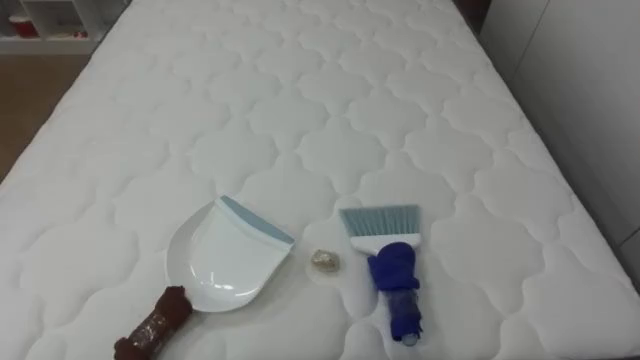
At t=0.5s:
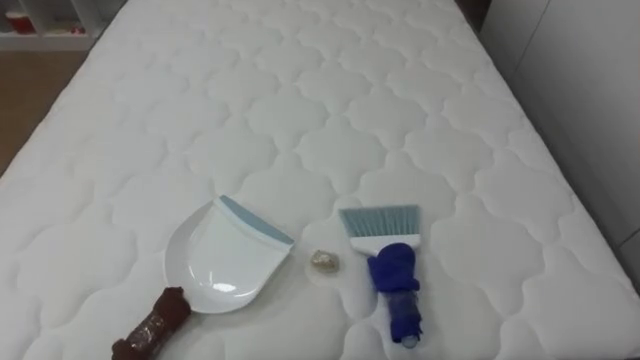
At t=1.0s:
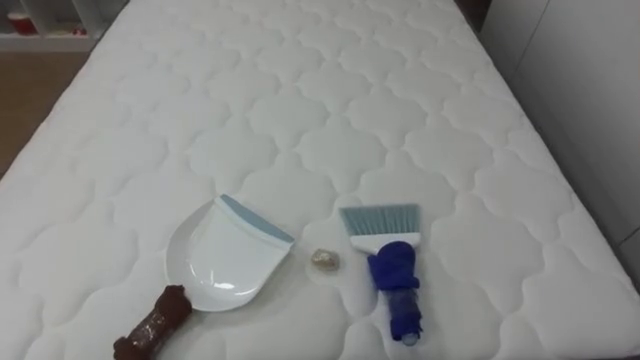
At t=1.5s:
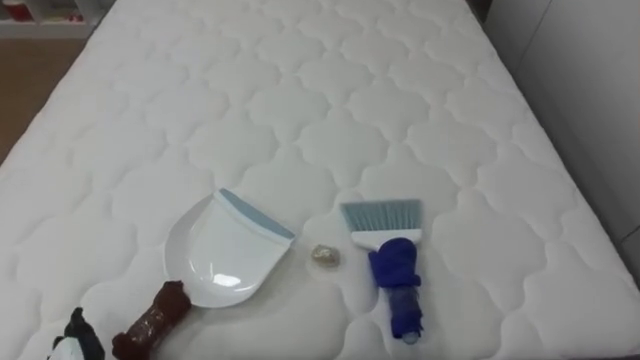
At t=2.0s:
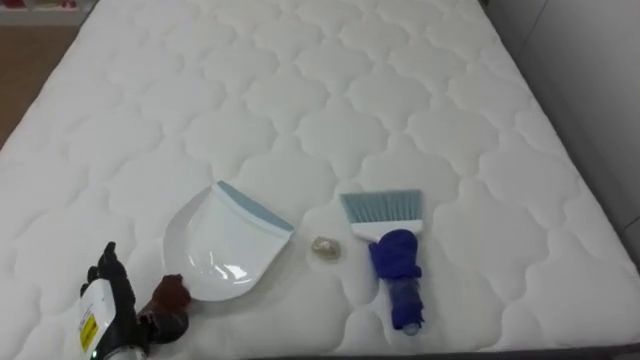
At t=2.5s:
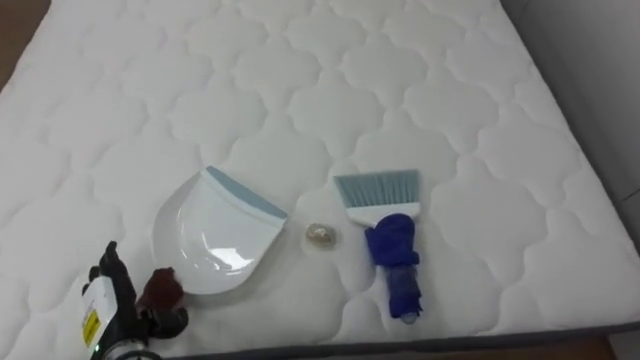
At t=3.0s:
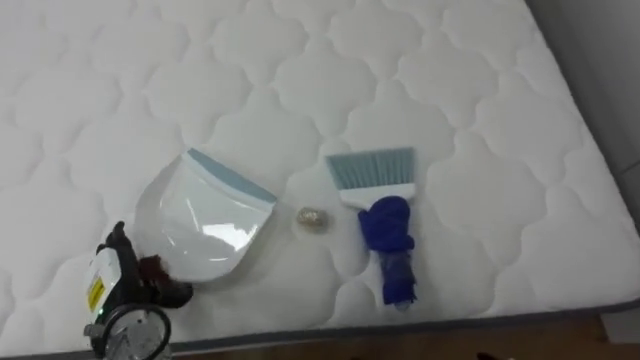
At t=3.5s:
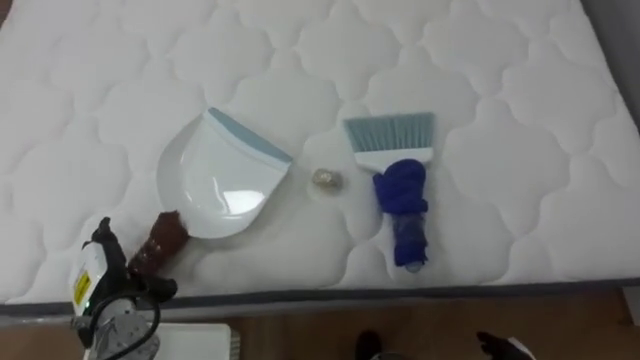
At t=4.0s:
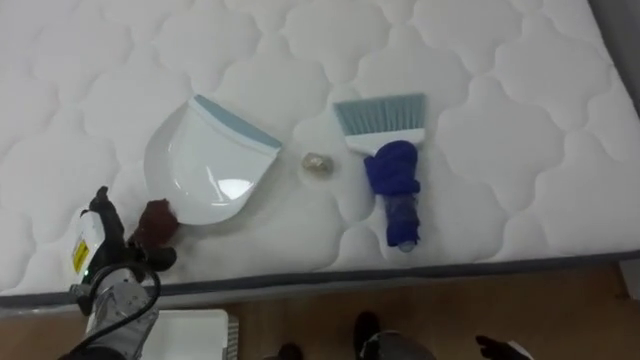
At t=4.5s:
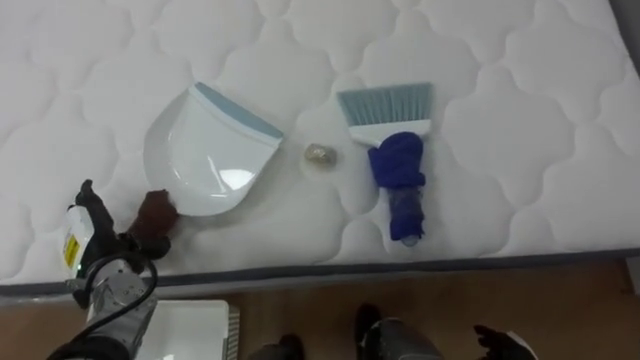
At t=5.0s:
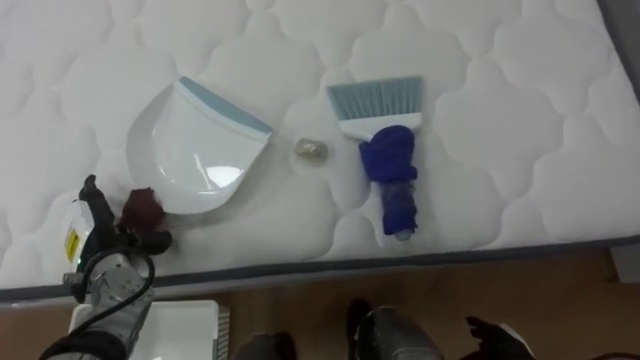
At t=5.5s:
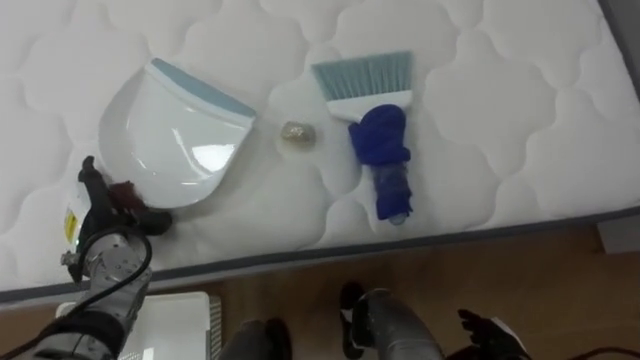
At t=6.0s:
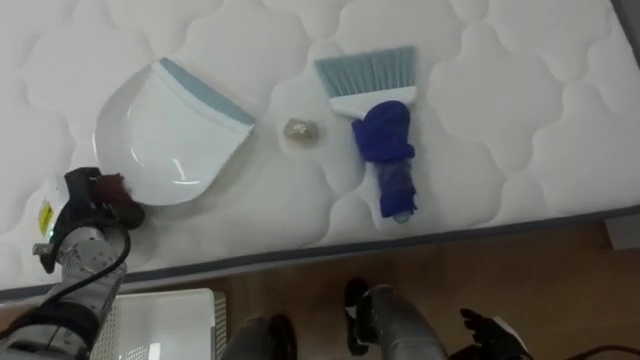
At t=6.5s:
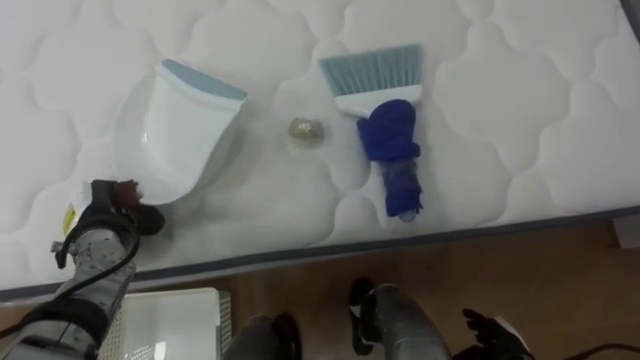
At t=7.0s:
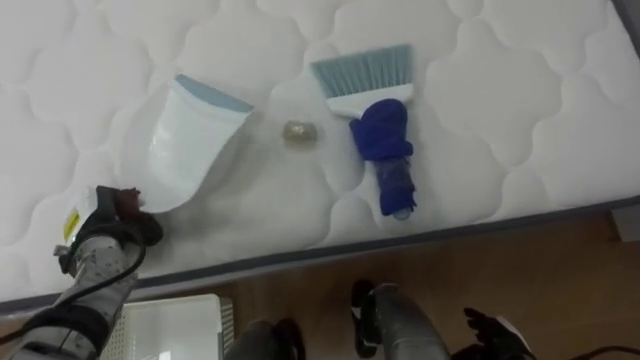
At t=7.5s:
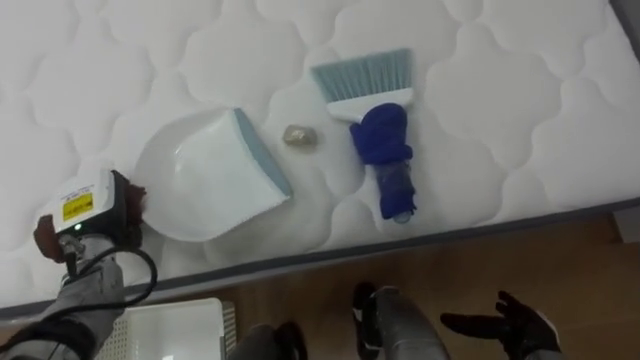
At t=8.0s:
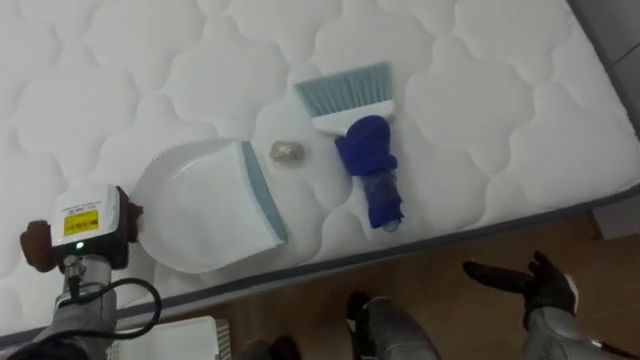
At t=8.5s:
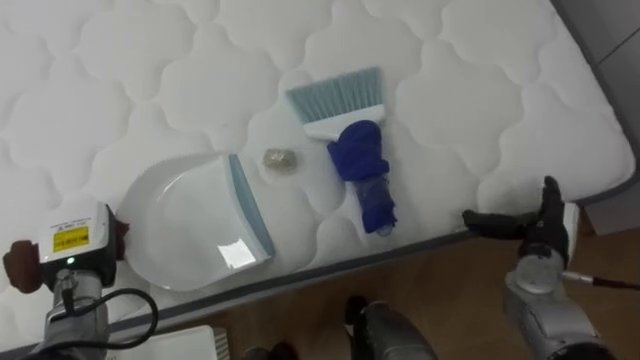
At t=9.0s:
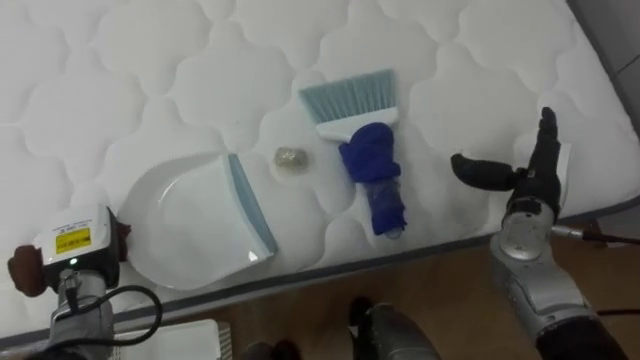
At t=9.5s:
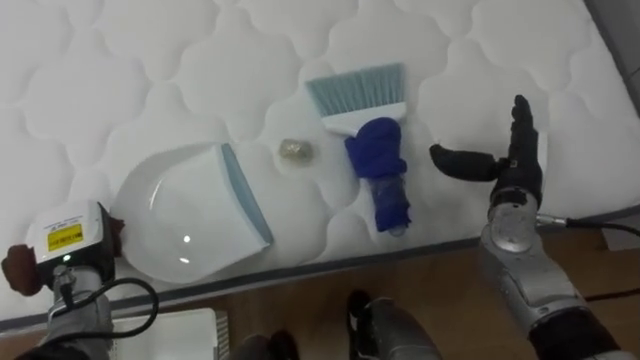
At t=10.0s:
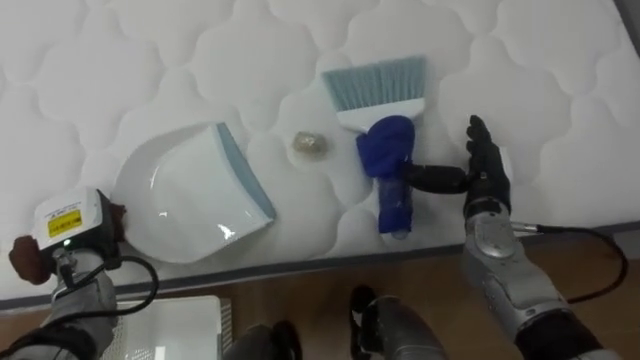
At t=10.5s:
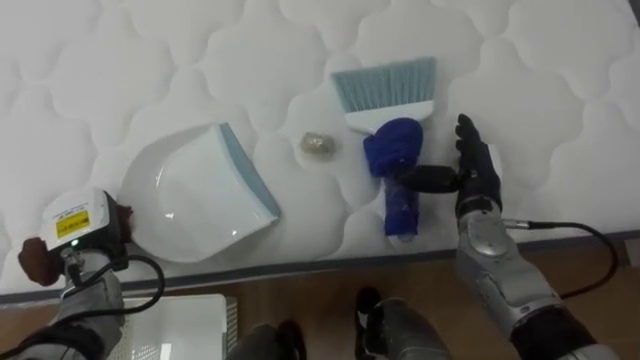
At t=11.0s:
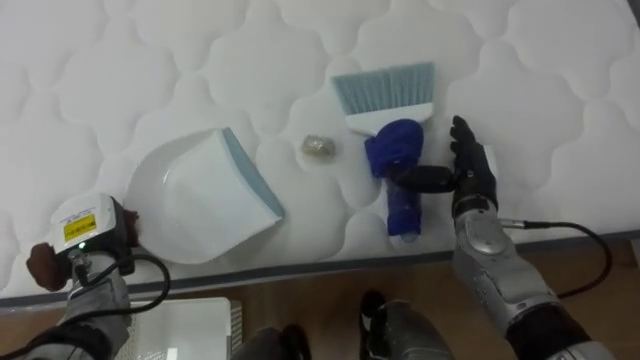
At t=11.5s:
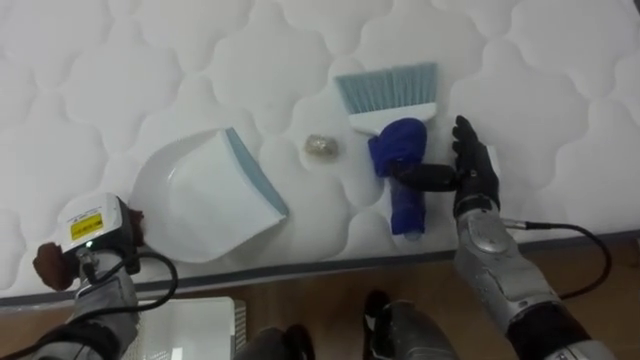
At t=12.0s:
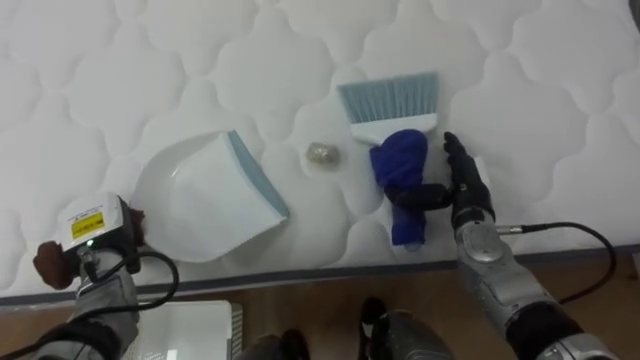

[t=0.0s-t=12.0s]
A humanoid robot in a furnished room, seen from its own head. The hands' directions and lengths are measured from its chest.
Task of the whole recording: Pick up the brush on your right and the dustpan on your left. Use the brush to sweep the crumpled paper on the bed into the dustpan, then turn left and empty it into the basket.
t=2.0s to t=4.0s: The left hand heads forward, covering approximately 10 cm.
t=4.0s to t=6.0s: The left hand shifts by roughly 5 cm, and closes its fingers.
t=6.0s to t=8.0s: The right hand heads to the right, forward and upward, covering about 10 cm, while the left hand closes its fingers.
t=8.0s to t=10.0s: The right hand moves upward, forward and to the left, some 20 cm.

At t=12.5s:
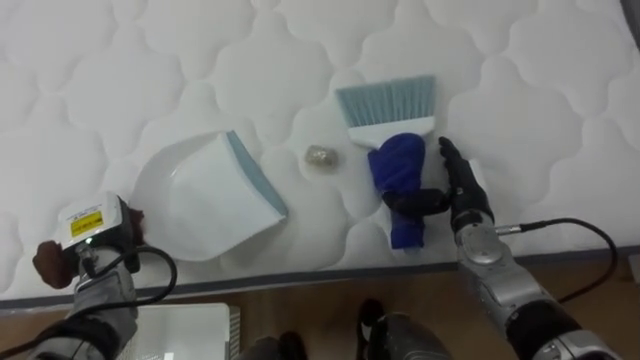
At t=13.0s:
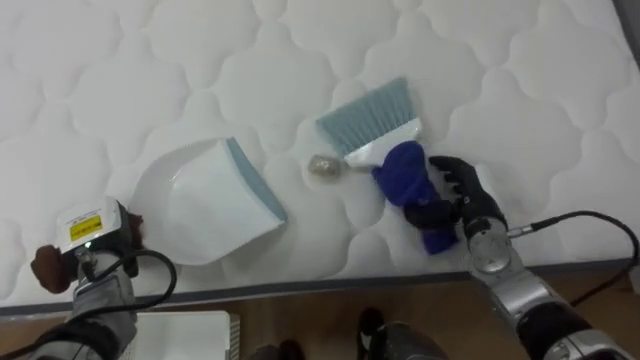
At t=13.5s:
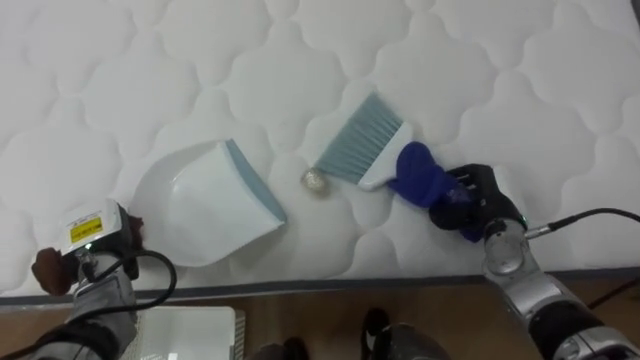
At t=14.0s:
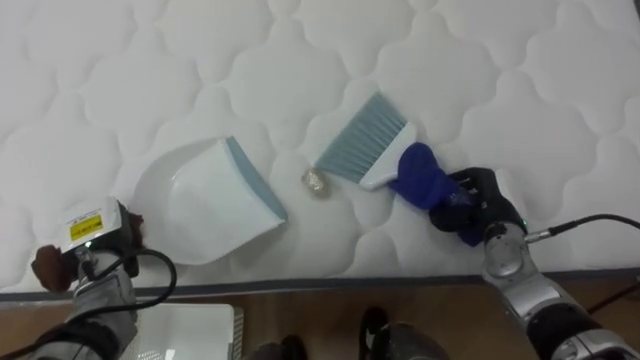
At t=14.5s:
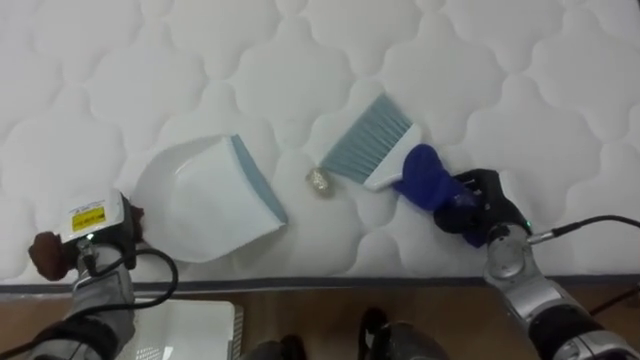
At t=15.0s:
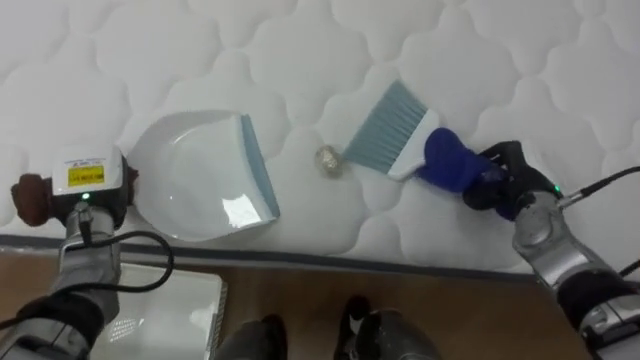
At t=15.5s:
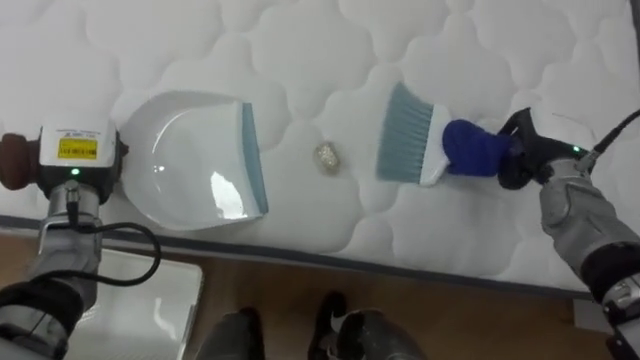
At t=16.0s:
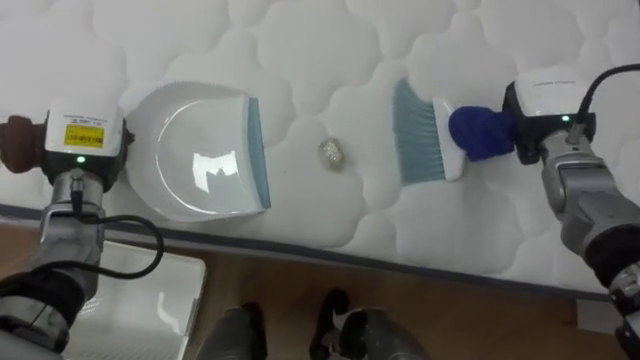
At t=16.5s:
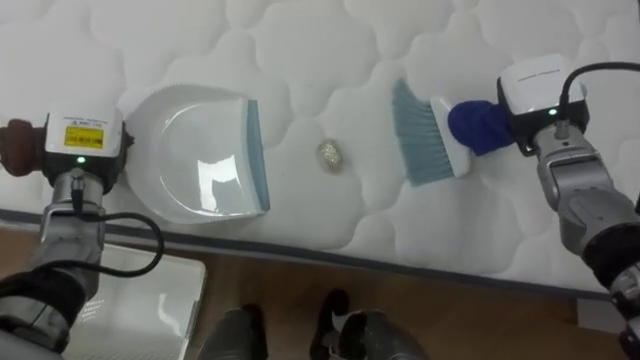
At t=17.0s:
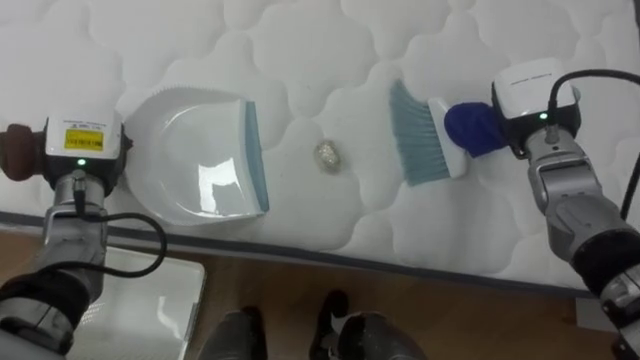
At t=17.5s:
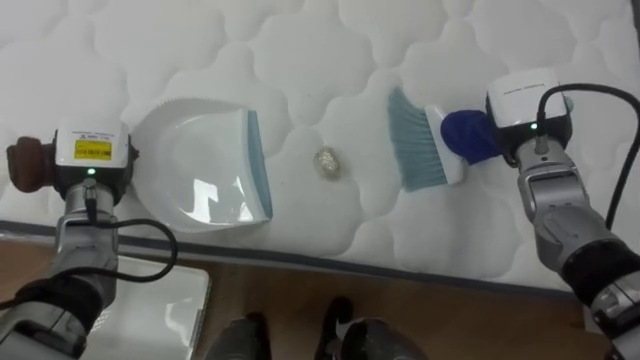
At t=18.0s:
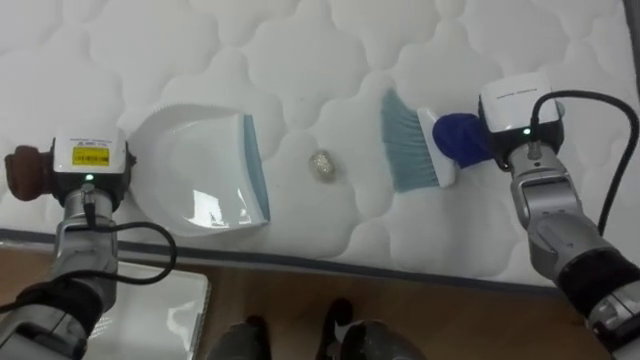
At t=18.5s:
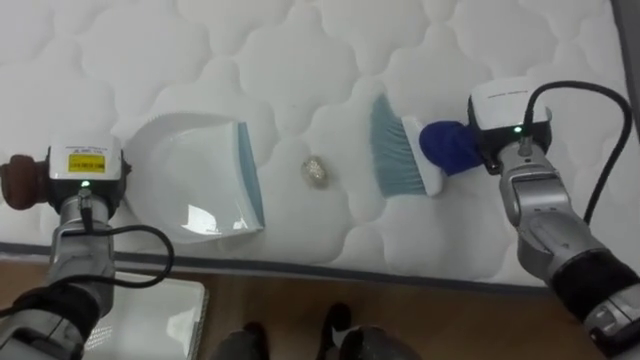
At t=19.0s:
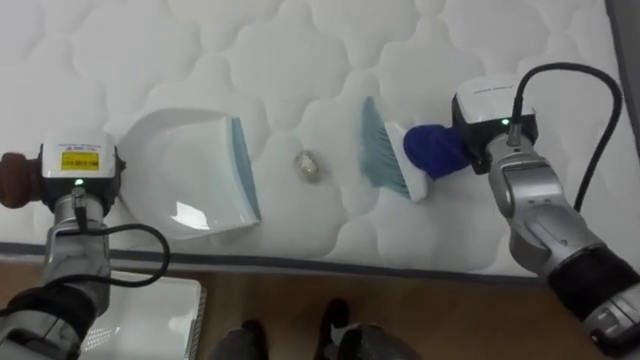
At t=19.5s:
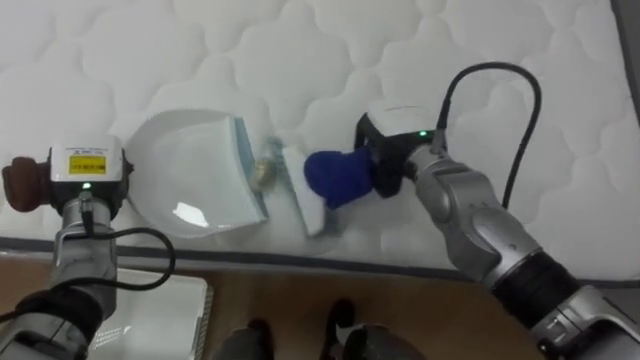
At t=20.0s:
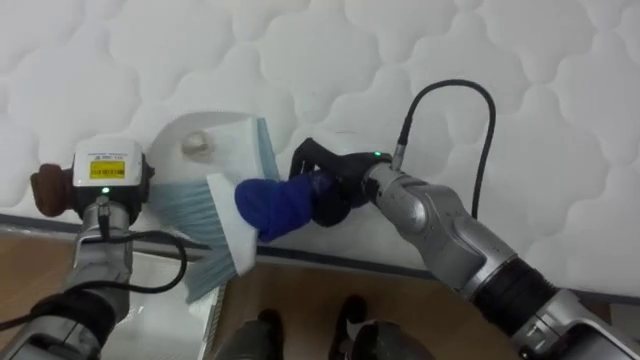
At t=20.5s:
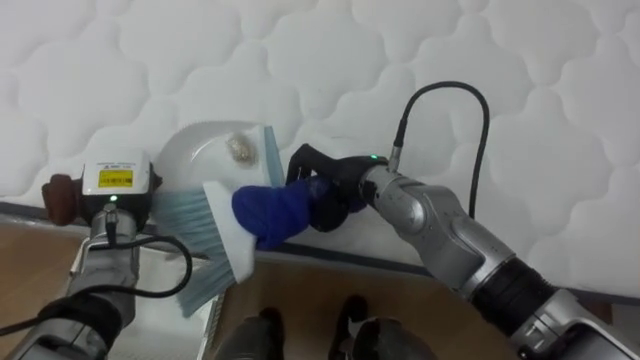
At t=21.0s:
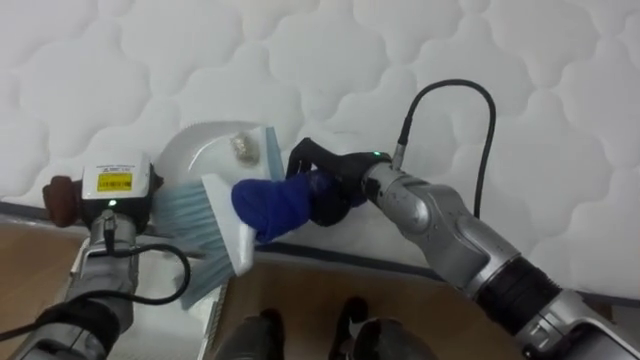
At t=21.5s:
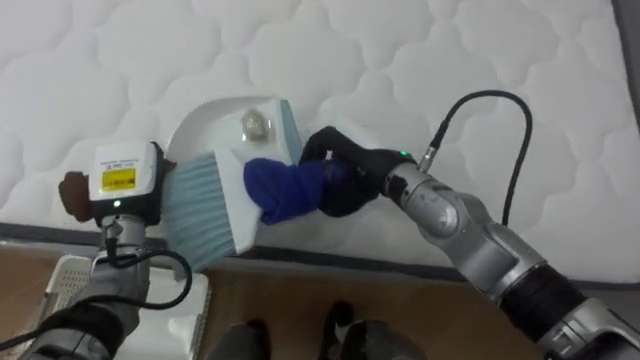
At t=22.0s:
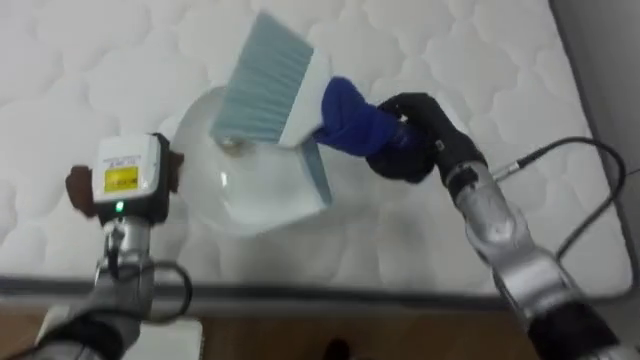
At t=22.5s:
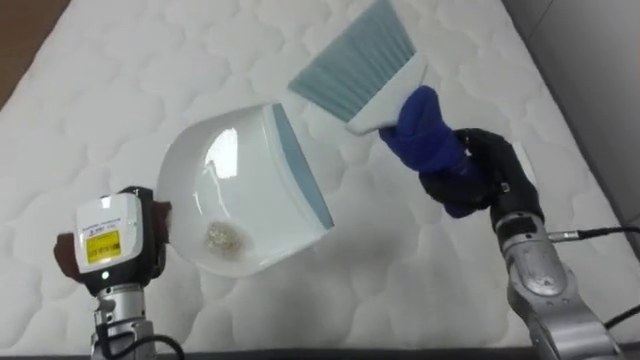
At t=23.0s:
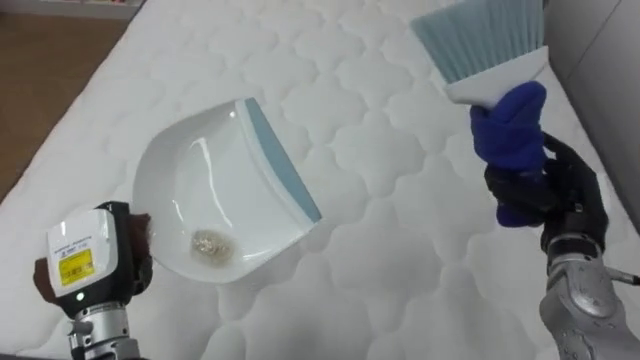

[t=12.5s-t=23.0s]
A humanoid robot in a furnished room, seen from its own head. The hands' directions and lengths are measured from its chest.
Task of the whole recording: Pick up the brush on your right and the dustpan on your left. Use the brush to sweep the crumpled paper on the bed into the dustpan, then turn left and empty it into the basket.
t=12.5s to t=14.5s: The right hand shifts roughly 5 cm to the right, and closes its fingers.
t=14.5s to t=16.5s: The two hands go about 15 cm upward and forward.
t=16.5s to t=19.0s: The right hand is displaced to the left by about 5 cm.
t=19.0s to t=21.0s: The right hand travels to the left by approximately 20 cm.
t=21.0s to t=23.0s: The right hand heads to the right, covering roughly 30 cm; the left hand shifts some 10 cm backward.
